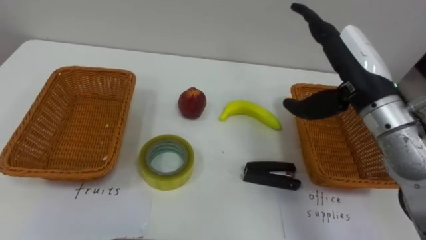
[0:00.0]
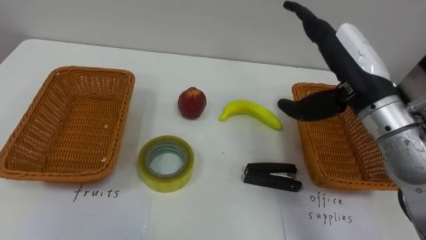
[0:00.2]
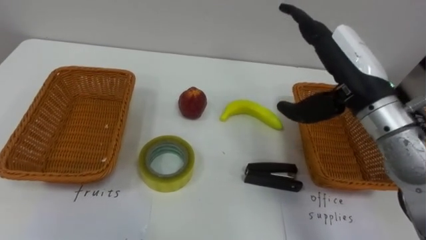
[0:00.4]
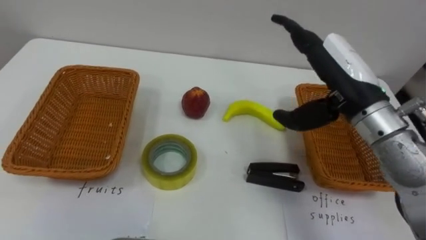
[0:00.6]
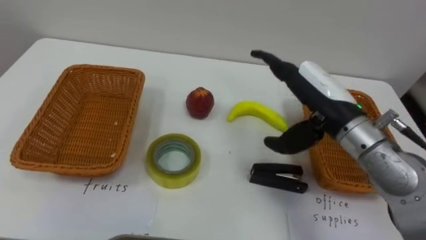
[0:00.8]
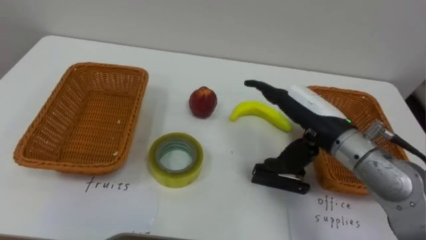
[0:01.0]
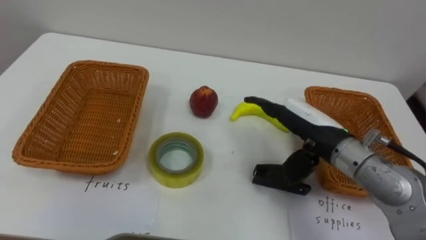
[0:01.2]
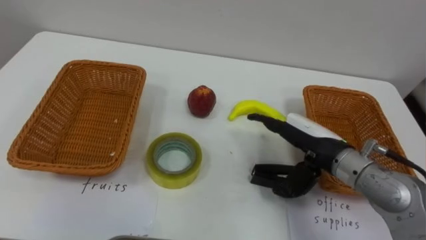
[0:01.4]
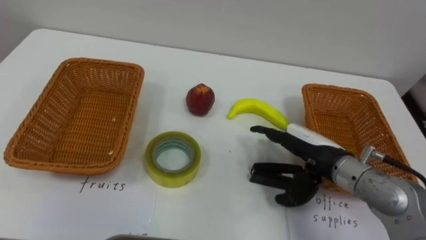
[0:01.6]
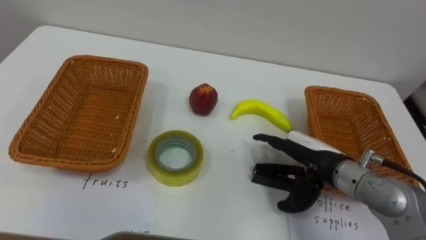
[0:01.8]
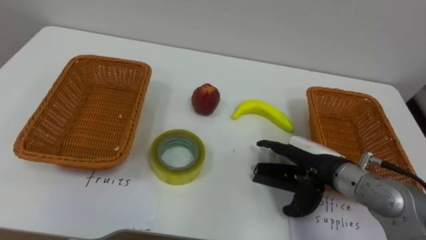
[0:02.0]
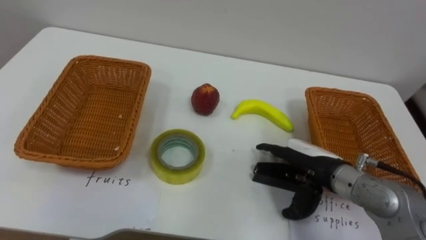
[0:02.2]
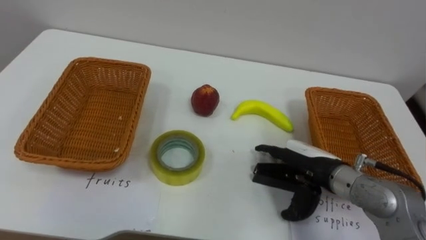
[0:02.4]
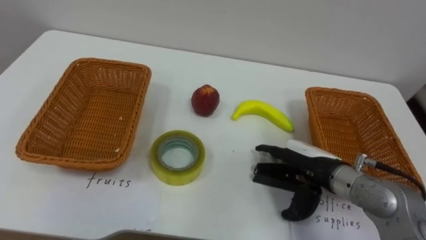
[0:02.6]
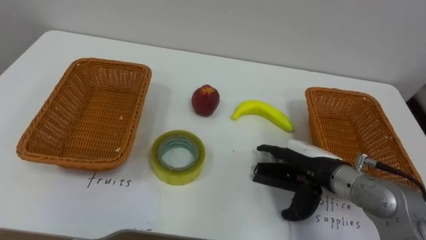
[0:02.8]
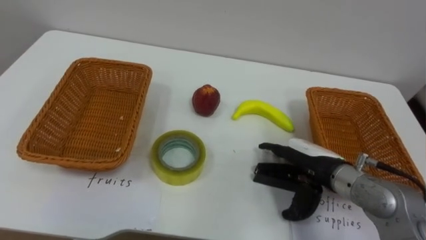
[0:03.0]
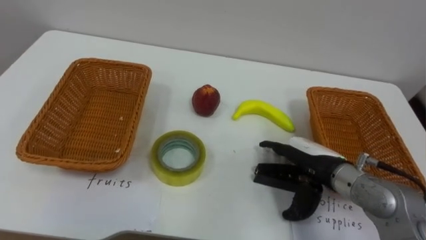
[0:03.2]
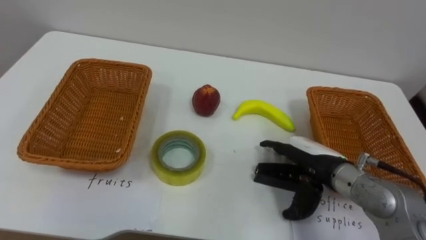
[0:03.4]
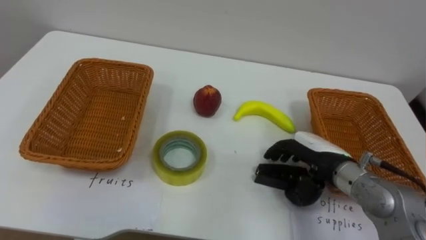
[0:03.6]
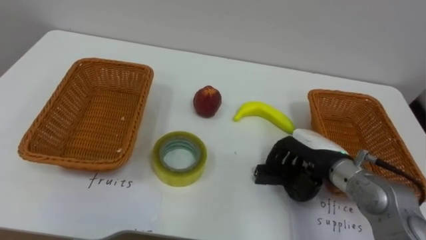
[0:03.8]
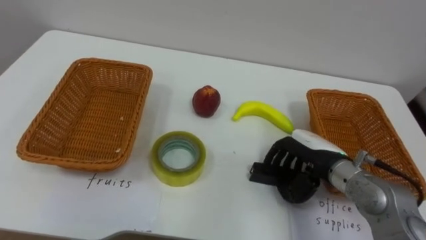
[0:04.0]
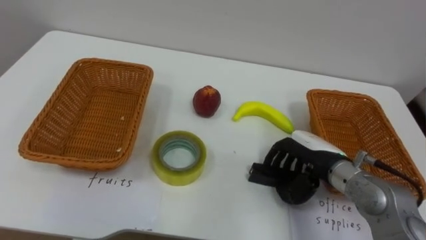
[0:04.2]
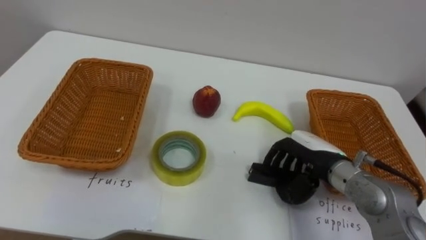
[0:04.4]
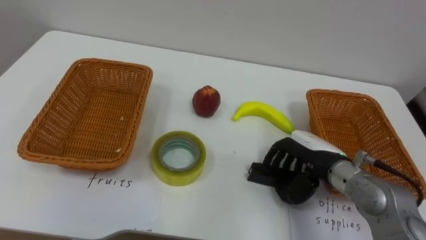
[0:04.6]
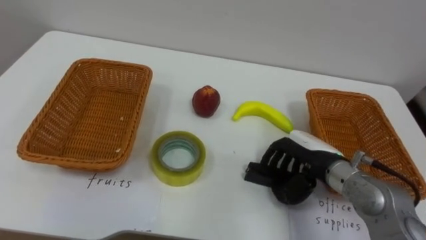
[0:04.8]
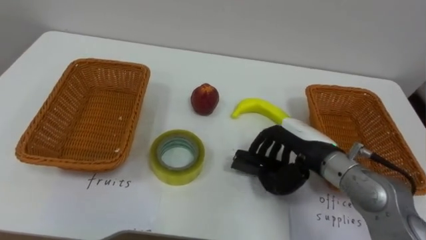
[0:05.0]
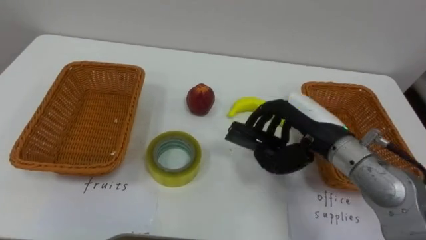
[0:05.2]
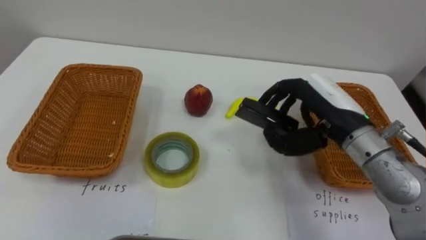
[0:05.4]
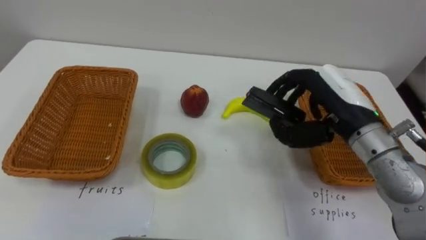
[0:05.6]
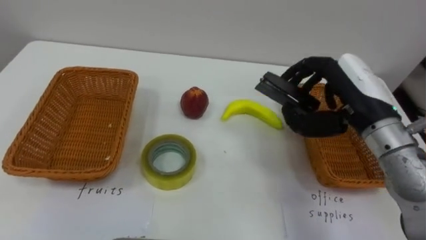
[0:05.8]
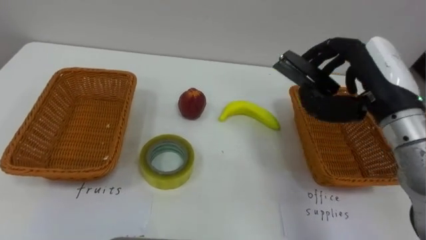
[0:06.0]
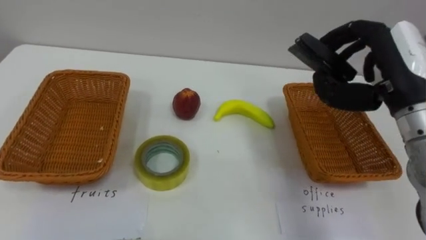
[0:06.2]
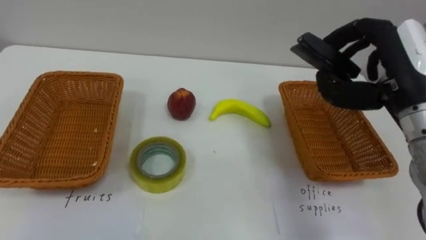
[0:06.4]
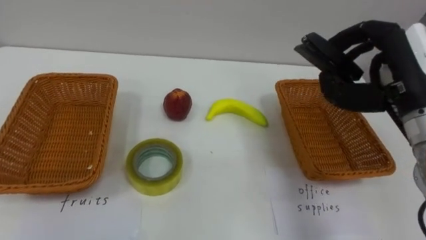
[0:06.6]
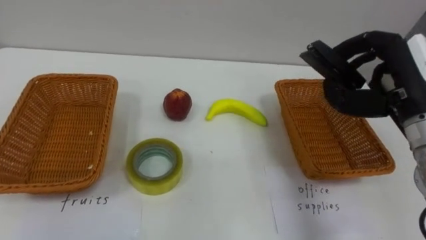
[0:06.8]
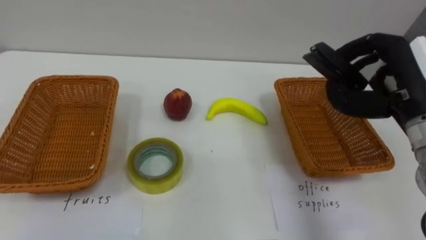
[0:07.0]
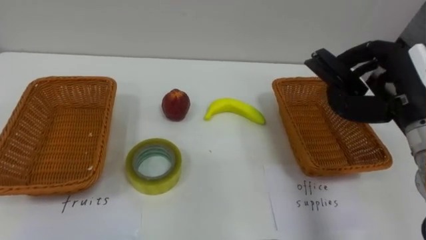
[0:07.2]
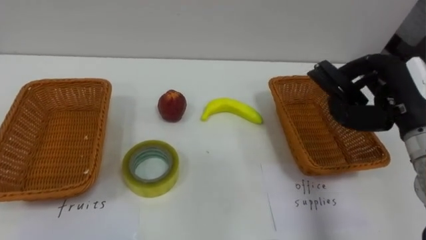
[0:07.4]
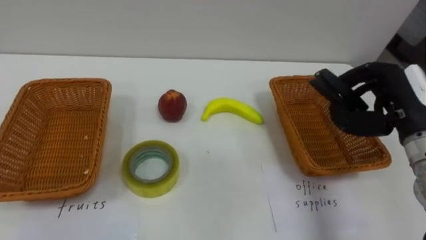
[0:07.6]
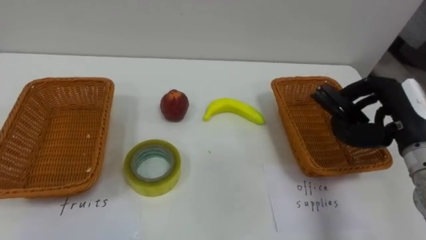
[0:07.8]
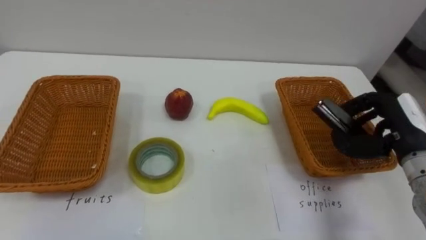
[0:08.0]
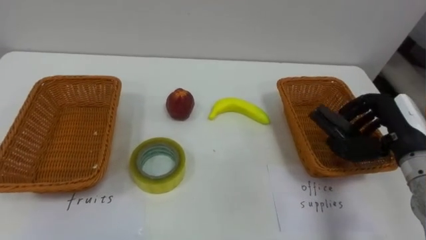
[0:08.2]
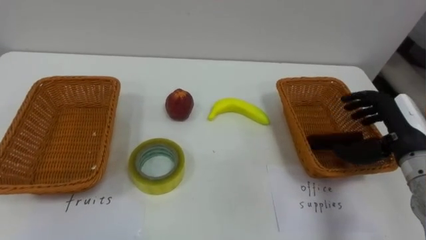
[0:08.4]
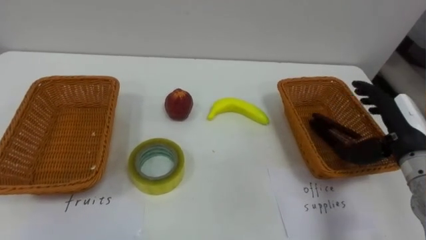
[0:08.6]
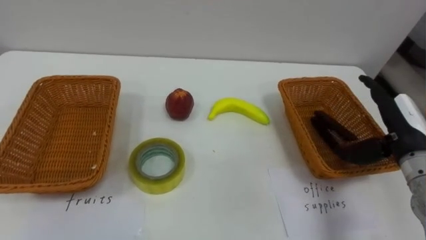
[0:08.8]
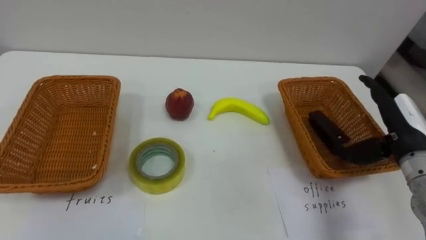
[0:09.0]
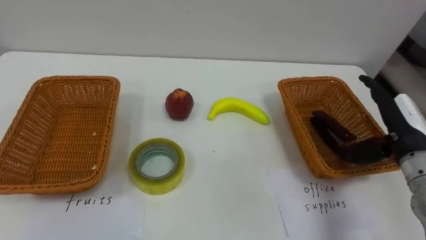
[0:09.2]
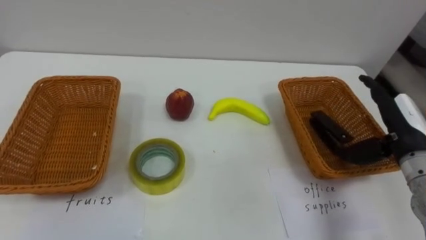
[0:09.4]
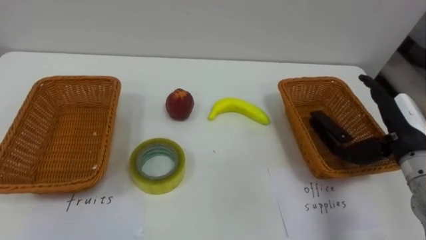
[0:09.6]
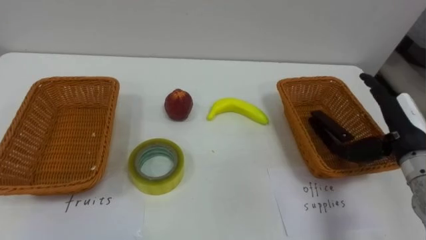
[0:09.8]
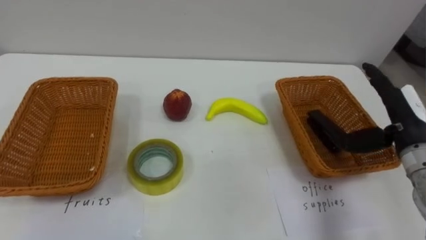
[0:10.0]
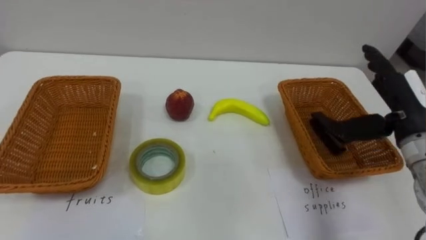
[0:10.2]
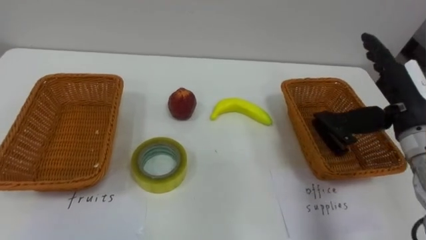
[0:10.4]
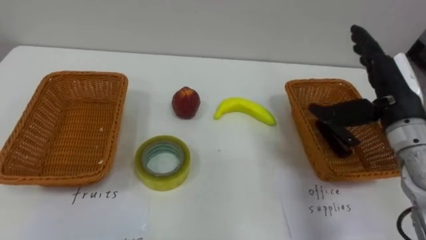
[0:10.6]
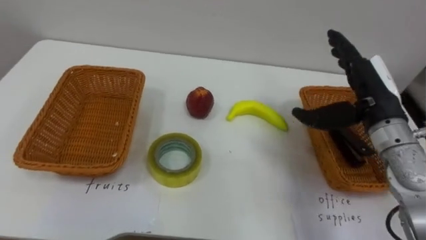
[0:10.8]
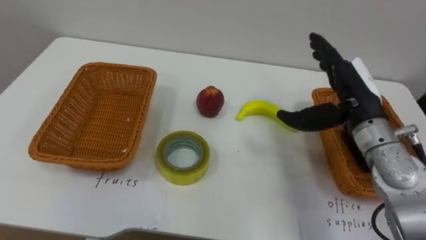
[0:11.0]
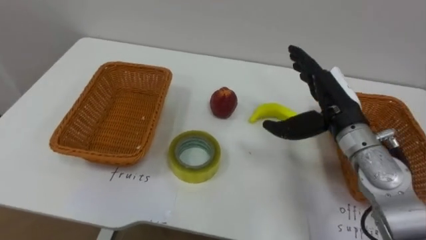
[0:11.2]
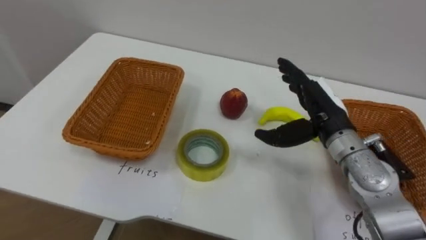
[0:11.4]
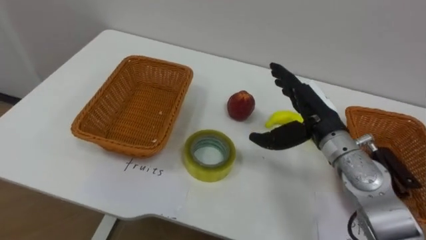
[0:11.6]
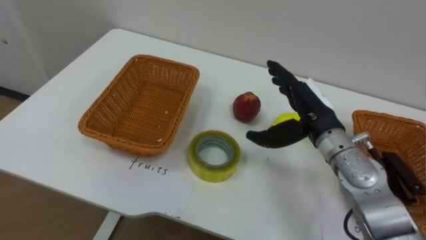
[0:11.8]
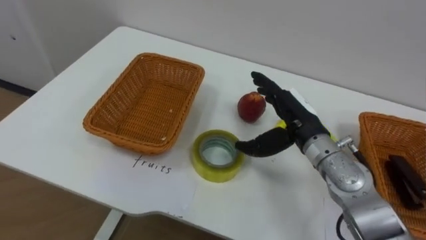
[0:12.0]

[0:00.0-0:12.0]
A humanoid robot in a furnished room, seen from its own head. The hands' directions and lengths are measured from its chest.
Task of the whole recording: Separate the items on the table and place them into the two baskets.
0:00.0 to 0:01.6: The right hand travels downward by about 15 cm.
0:03.0 to 0:04.4: The right hand closes.
0:04.4 to 0:06.0: The right hand shifts some 15 cm upward.
0:06.0 to 0:07.6: The right hand goes about 5 cm to the right.
0:07.6 to 0:09.0: The right hand moves some 5 cm, and opens up.
0:09.0 to 0:10.4: The right hand shifts roughly 5 cm upward.
0:10.4 to 0:12.0: The right hand moves to the left, approximately 15 cm.

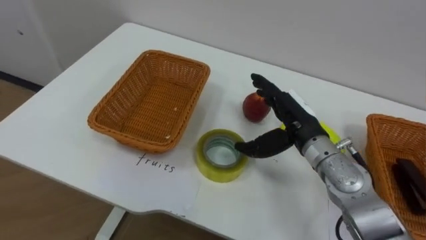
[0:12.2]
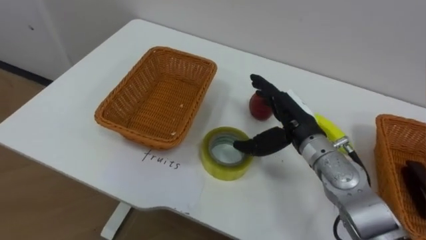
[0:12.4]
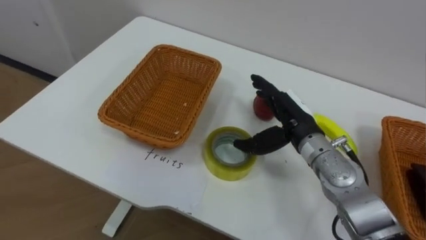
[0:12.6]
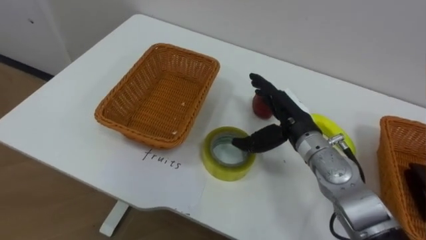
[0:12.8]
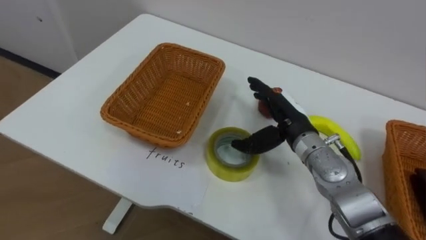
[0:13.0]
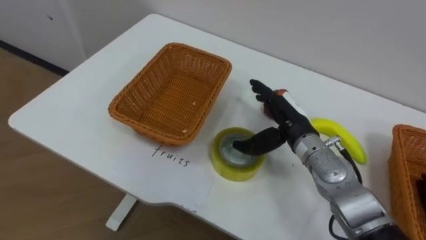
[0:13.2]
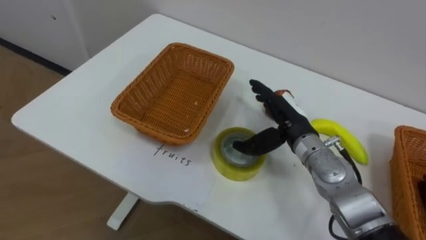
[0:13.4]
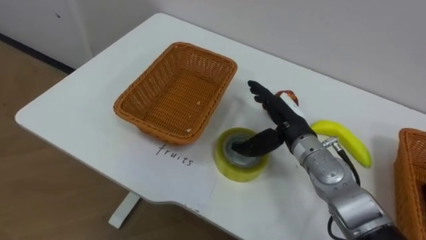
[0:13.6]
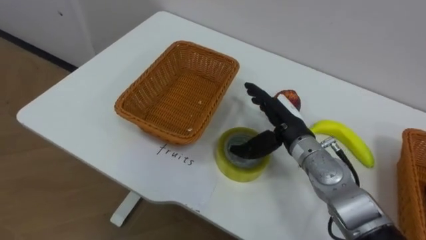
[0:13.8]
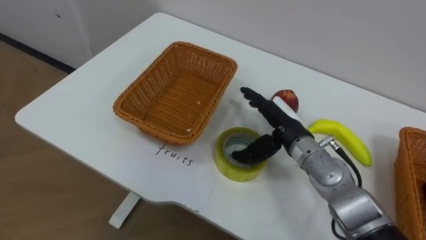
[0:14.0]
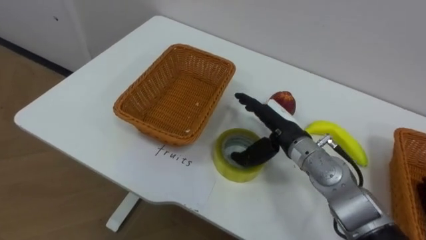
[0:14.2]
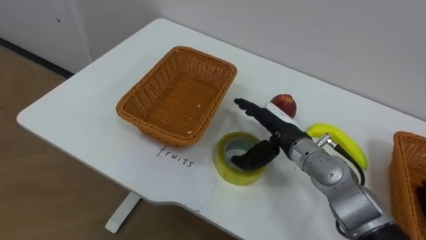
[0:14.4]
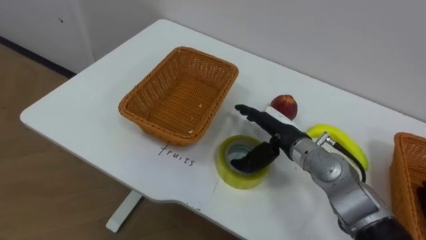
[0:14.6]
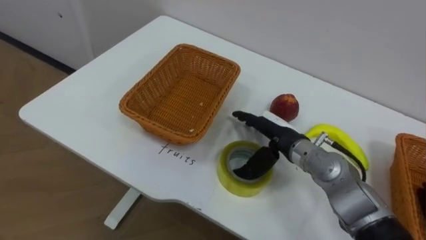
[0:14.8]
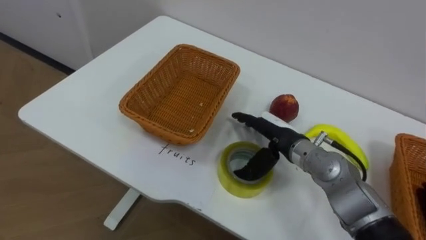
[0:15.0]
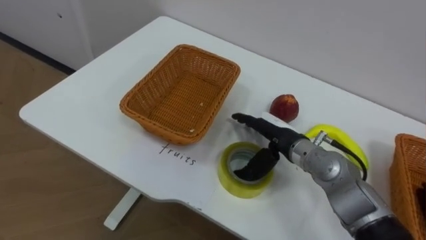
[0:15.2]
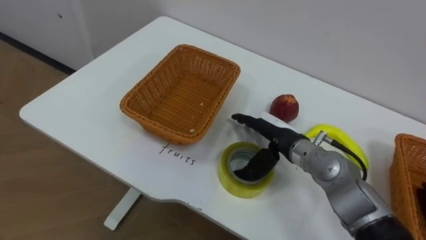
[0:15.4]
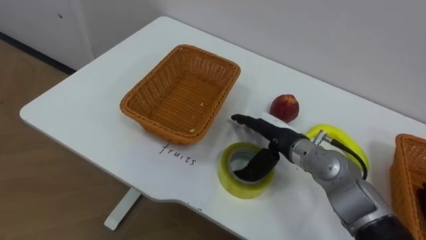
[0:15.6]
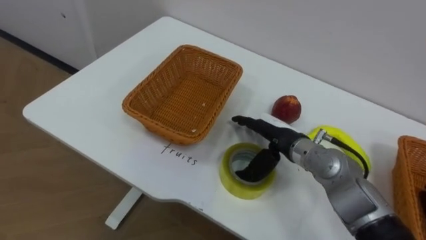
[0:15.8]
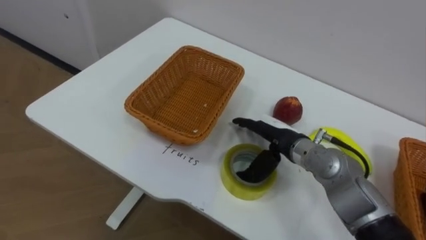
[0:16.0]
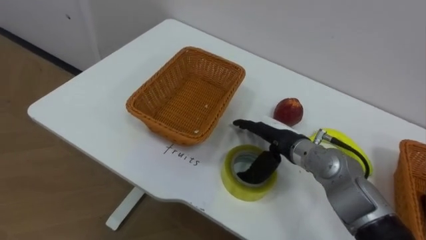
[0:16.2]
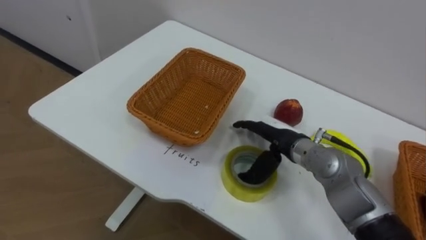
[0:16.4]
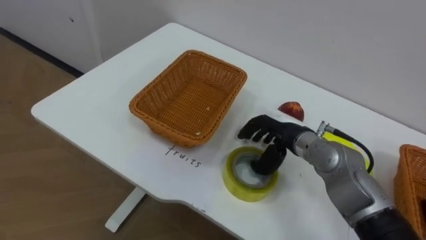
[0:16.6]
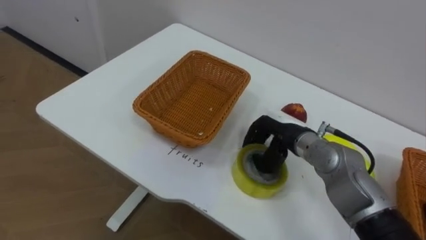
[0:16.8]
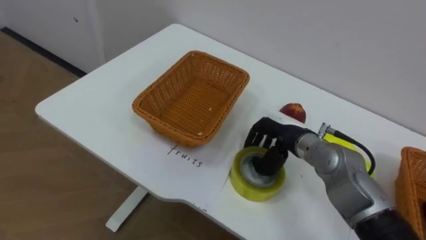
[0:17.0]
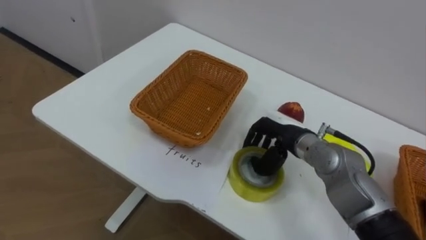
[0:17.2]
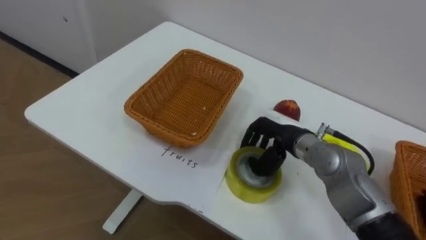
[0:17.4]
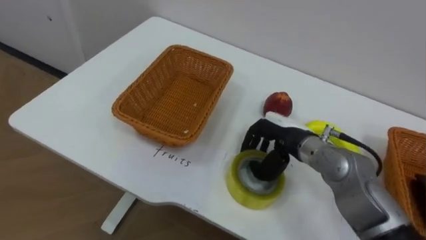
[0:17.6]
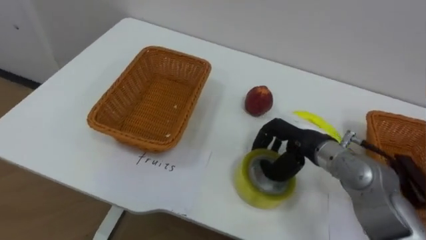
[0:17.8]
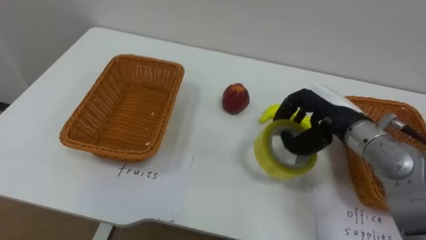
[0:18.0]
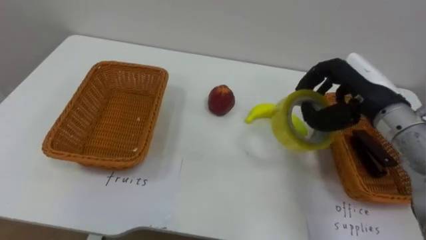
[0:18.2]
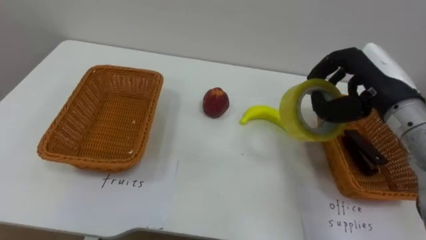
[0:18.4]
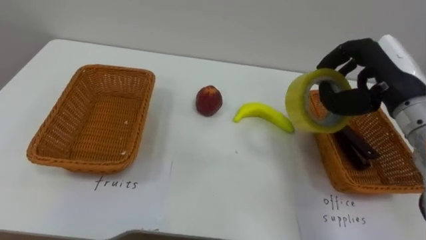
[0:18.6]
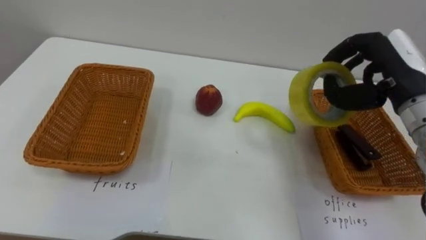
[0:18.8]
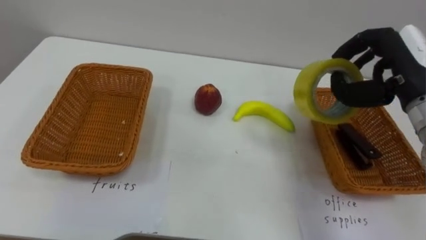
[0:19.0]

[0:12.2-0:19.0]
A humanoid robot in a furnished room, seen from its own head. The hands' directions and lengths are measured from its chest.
Task of the whole recording: Separate the items on the table and place them into the two baskets.
0:16.2 to 0:17.6: The right hand closes up.
0:17.6 to 0:19.0: The right hand is displaced upward and to the right by roughly 20 cm.
